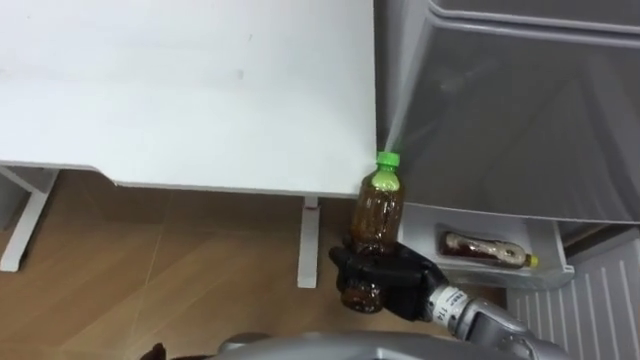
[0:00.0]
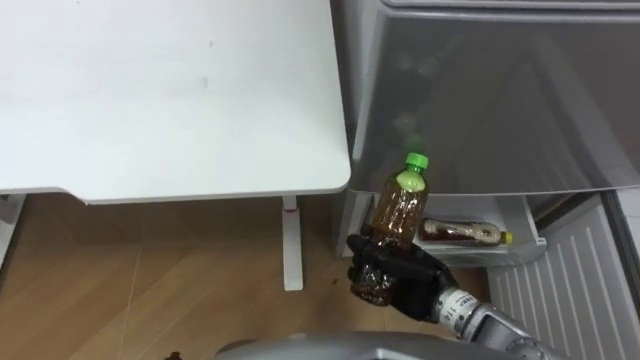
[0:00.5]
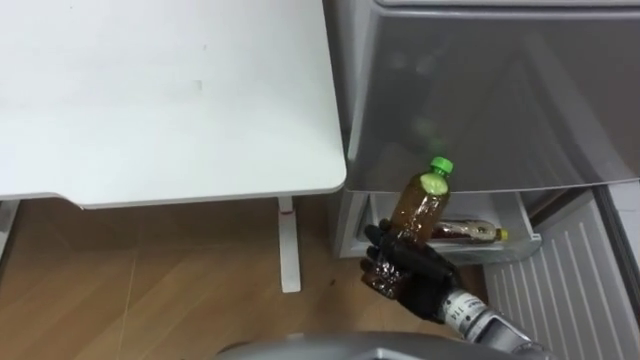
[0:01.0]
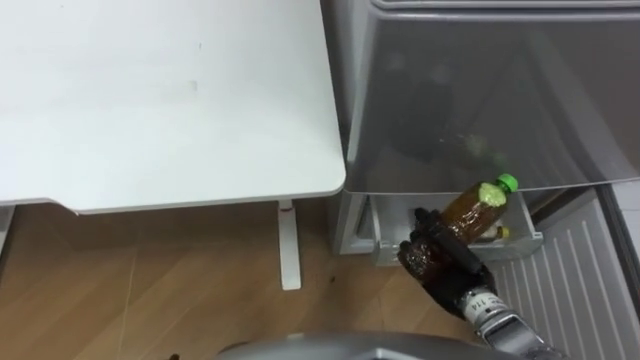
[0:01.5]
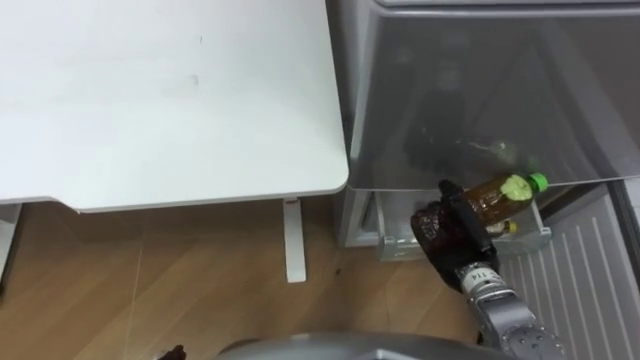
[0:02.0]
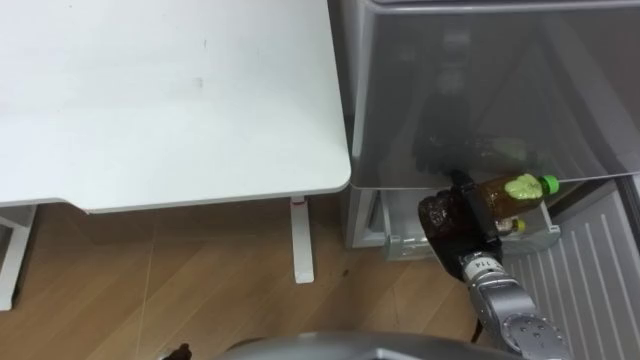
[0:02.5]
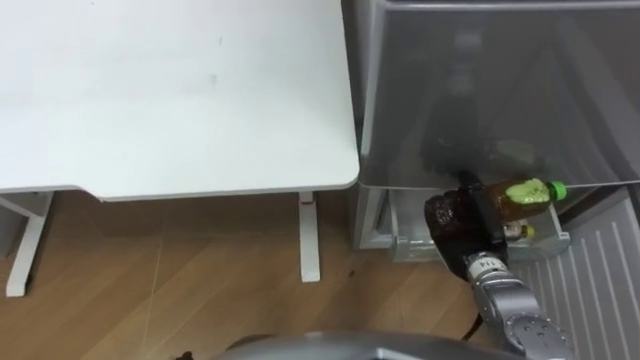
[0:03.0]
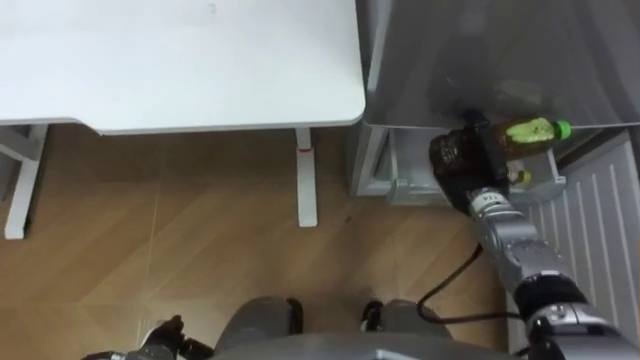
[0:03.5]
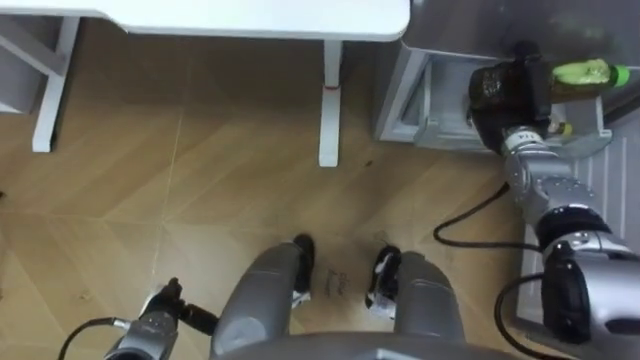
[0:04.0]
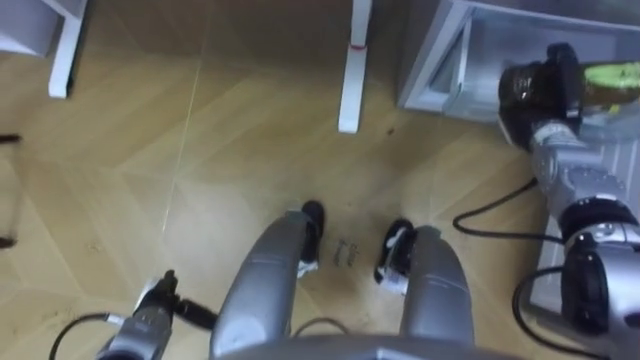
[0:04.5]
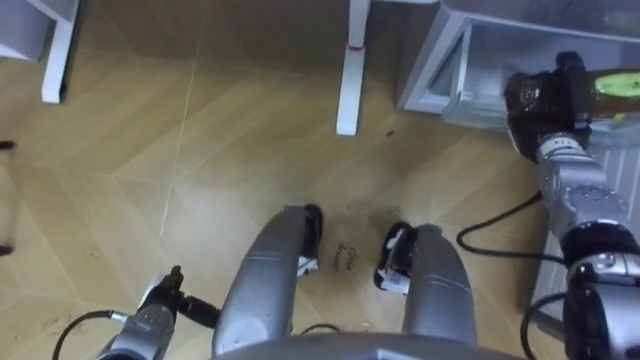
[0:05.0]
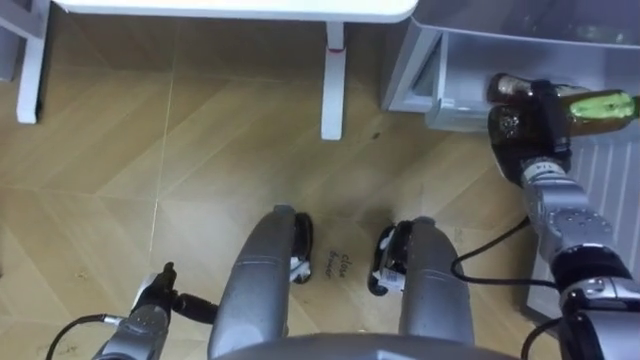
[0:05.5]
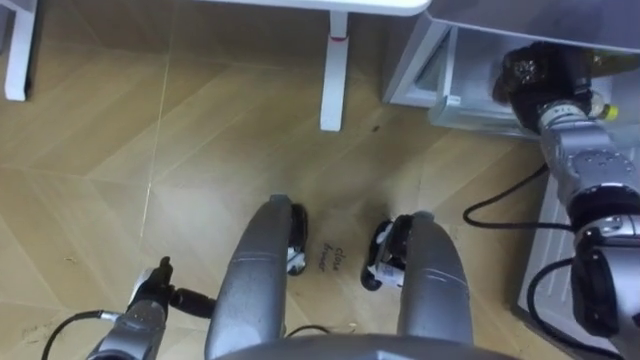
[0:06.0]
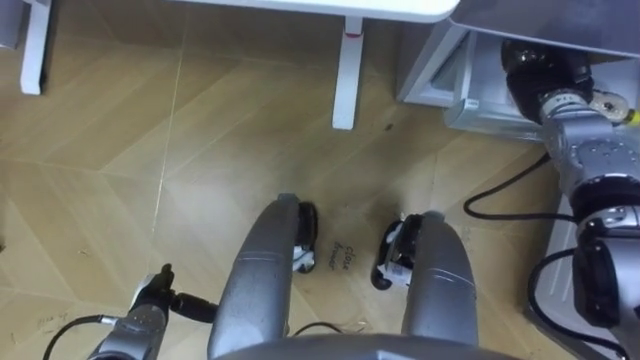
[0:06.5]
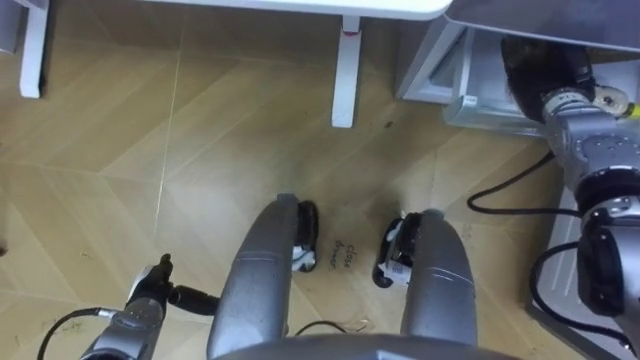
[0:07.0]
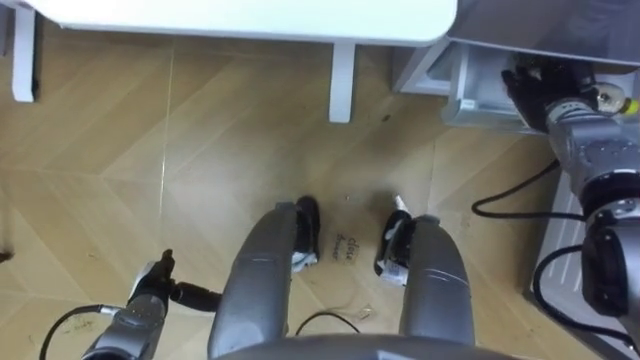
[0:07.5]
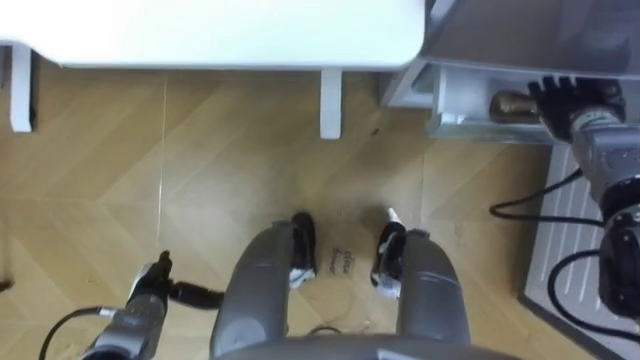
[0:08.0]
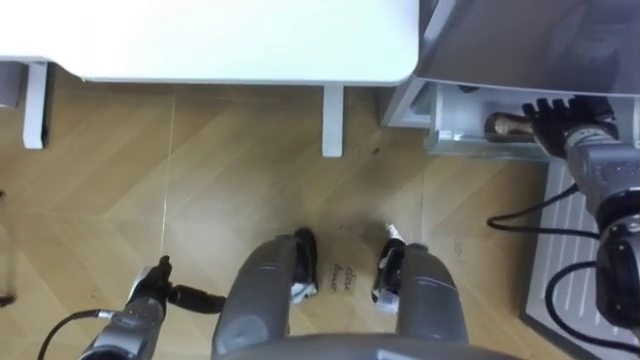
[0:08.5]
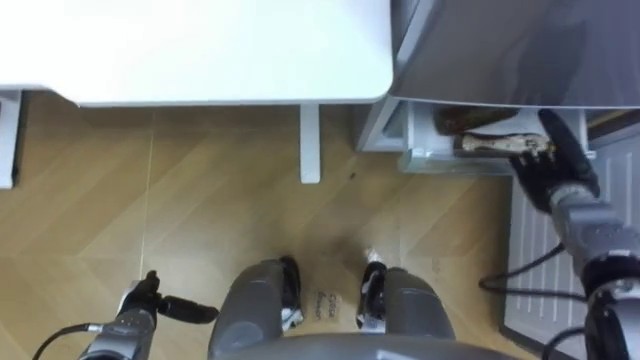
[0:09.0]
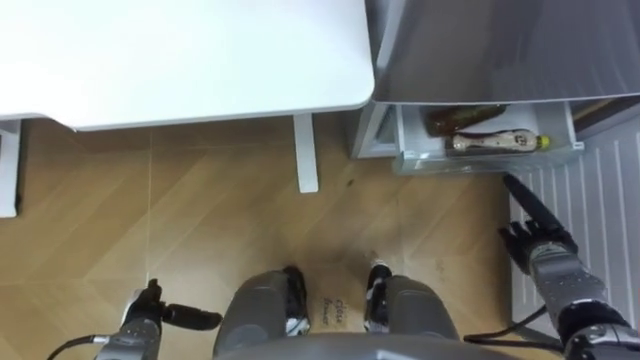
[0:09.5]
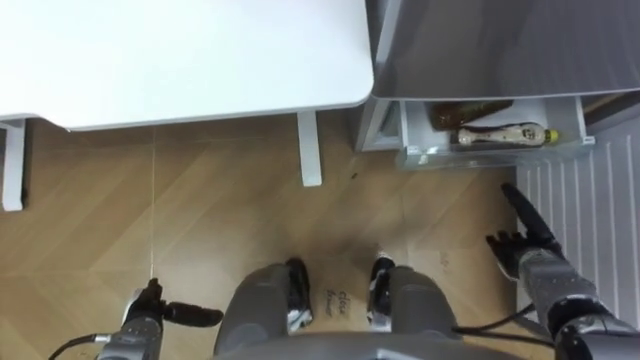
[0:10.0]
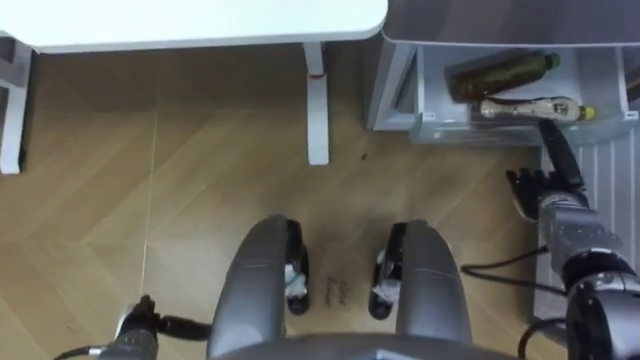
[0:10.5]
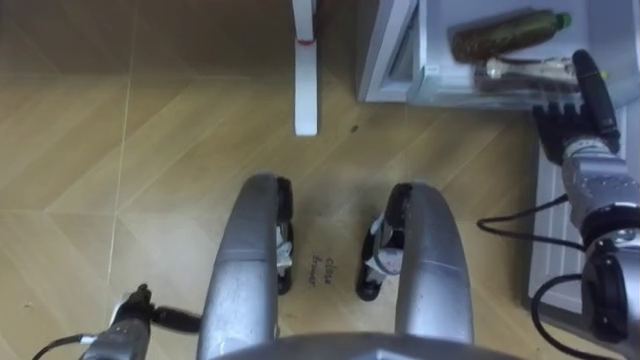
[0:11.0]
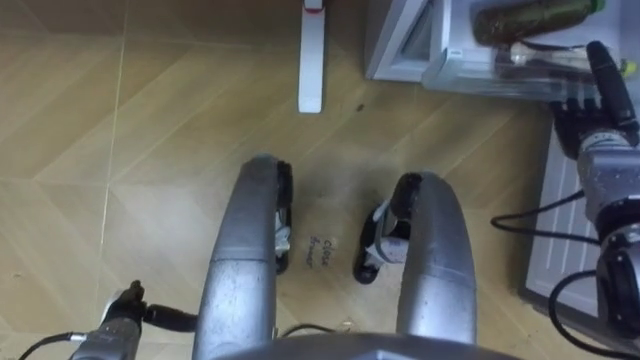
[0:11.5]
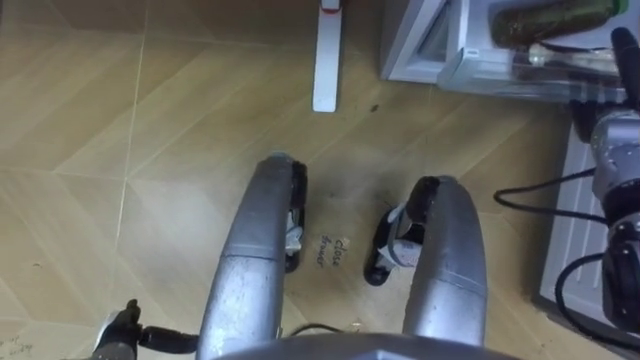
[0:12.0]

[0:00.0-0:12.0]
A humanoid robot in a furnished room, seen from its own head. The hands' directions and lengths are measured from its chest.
Task of the whole recording: Place the drink on the table on the bottom shelf of the refrigerator, then close the drawer and the refrigerator door.
0:00.0 to 0:02.0: The right hand goes about 10 cm to the right.
0:02.0 to 0:04.0: The right hand shifts approximately 20 cm forward and upward.
0:04.0 to 0:06.0: The right hand ends up about 5 cm from where it was.
0:06.0 to 0:08.0: The right hand opens.
0:08.0 to 0:10.0: The right hand moves backward and downward, some 25 cm.
0:10.0 to 0:12.0: The right hand heads upward, forward and to the right, covering some 25 cm.

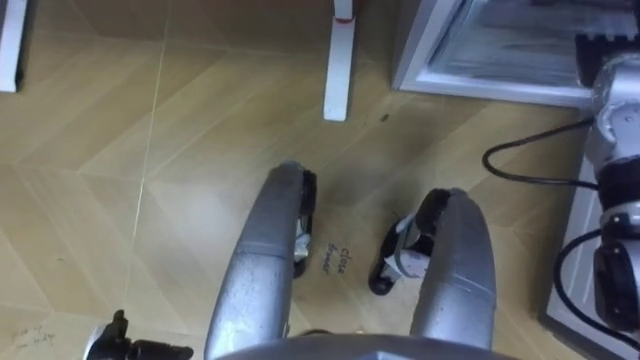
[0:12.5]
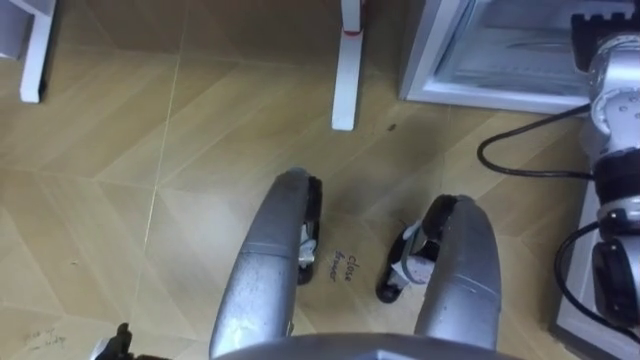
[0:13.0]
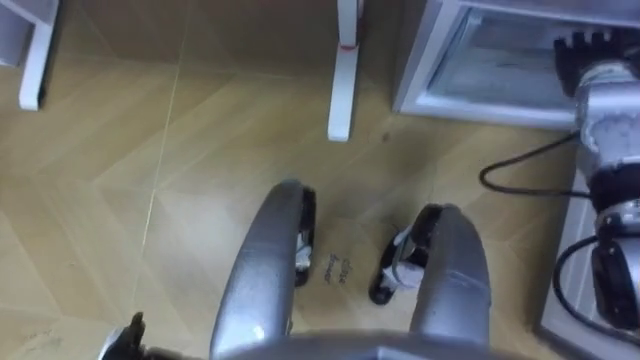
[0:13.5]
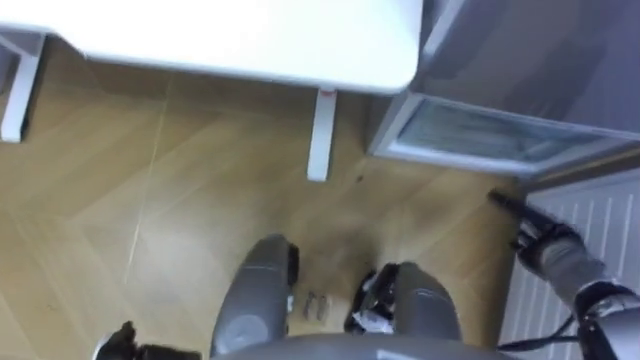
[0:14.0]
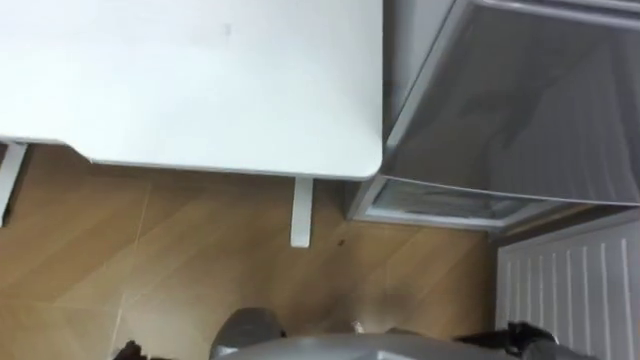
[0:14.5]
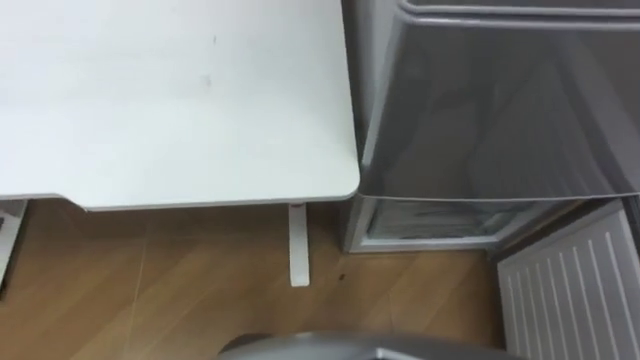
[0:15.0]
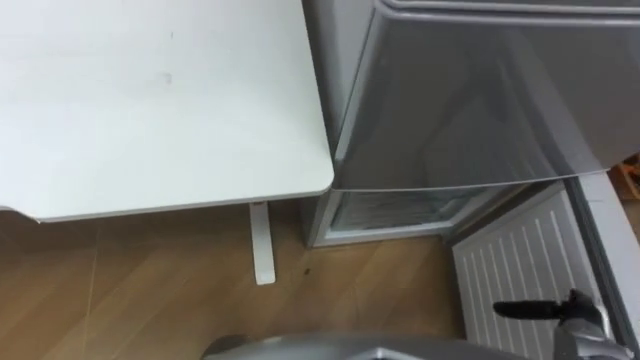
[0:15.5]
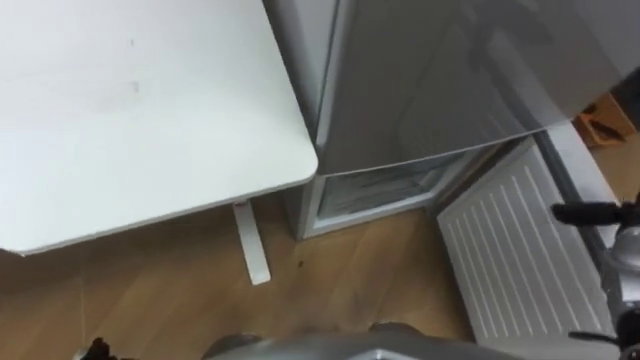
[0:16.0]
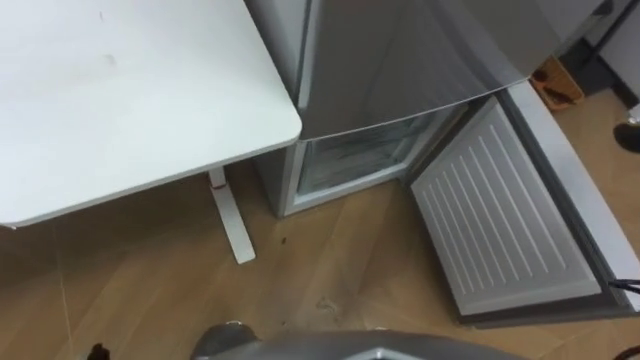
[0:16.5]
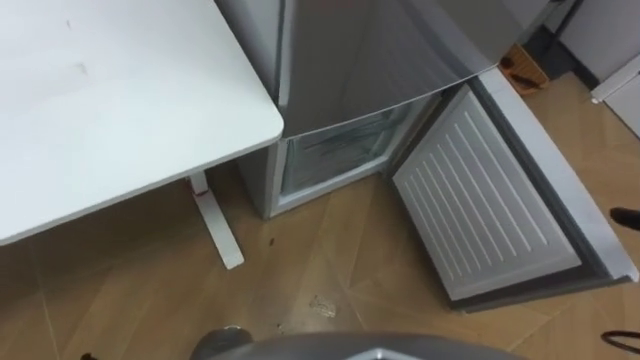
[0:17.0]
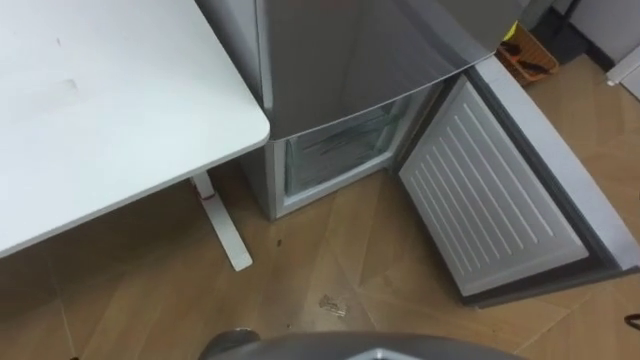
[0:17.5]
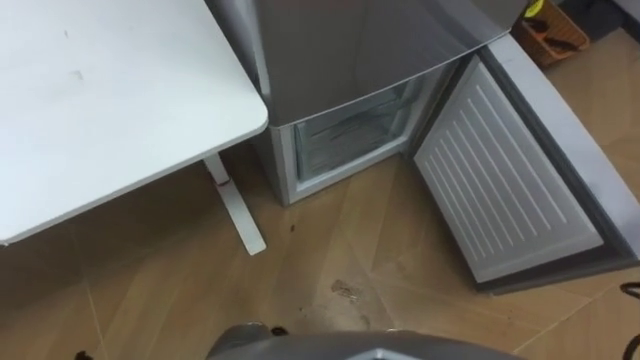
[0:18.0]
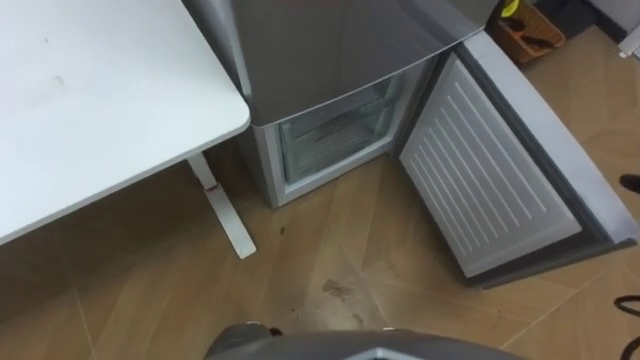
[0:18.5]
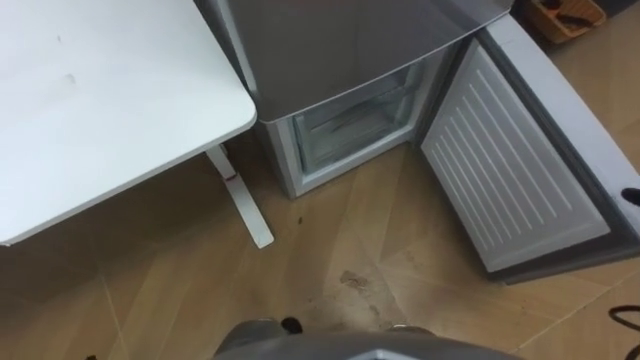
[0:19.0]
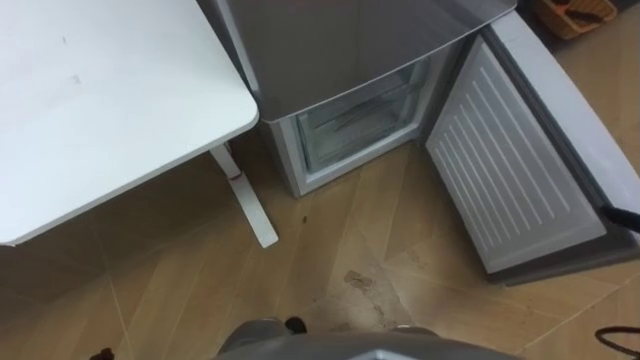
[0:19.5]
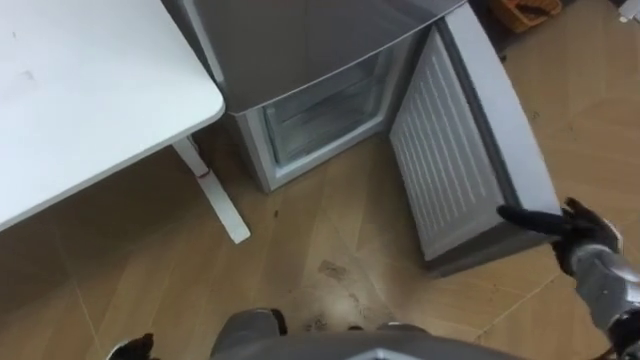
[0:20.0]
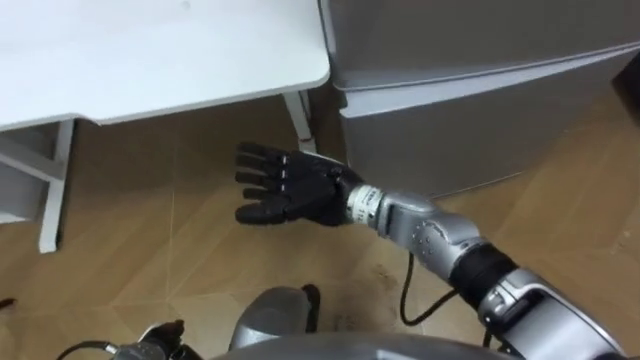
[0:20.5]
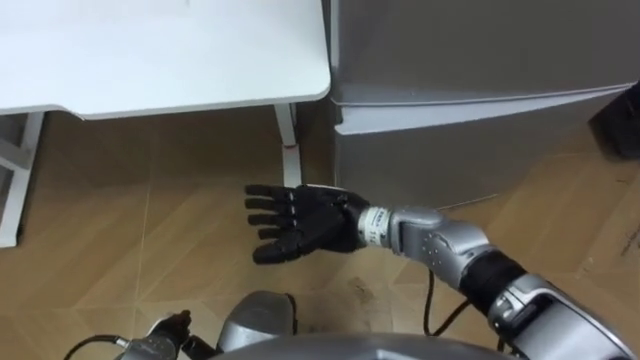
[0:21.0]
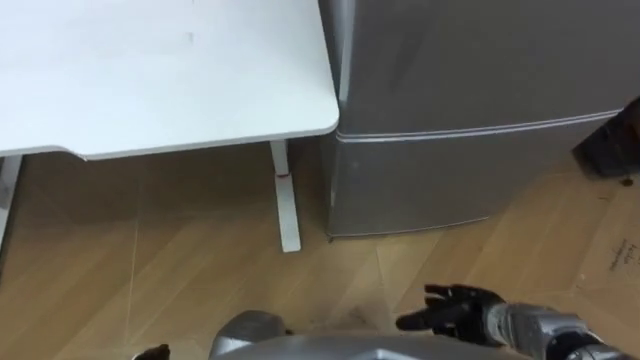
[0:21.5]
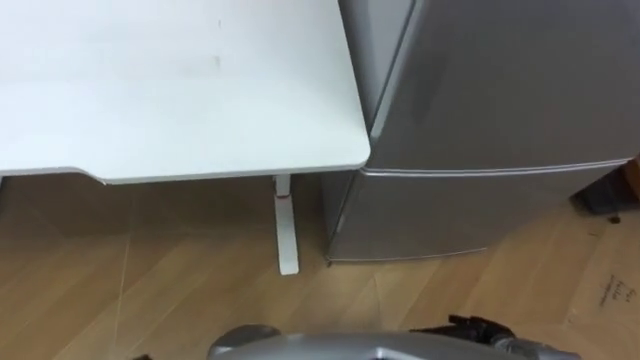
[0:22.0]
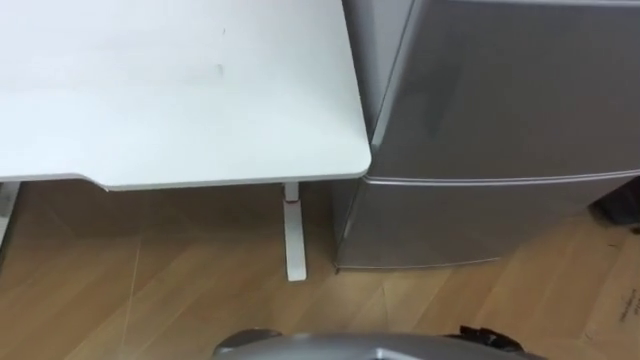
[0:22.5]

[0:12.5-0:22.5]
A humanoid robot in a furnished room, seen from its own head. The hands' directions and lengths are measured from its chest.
Task of the whole recording: Place the drink on the table on the bottom shelf of the refrigerator, then close the drawer and the refrigerator door.
0:12.5 to 0:14.5: The right hand shifts about 40 cm backward and downward.
0:14.5 to 0:16.5: The robot faces approximately 20 degrees further to its right.
